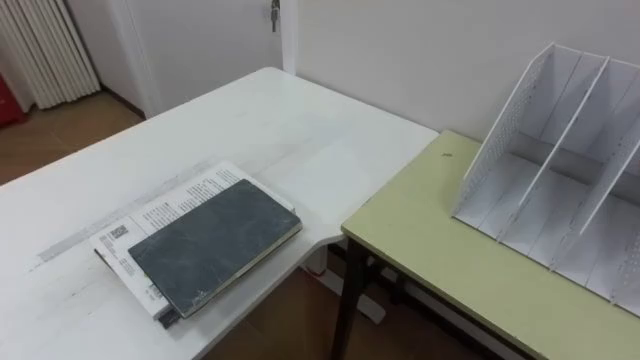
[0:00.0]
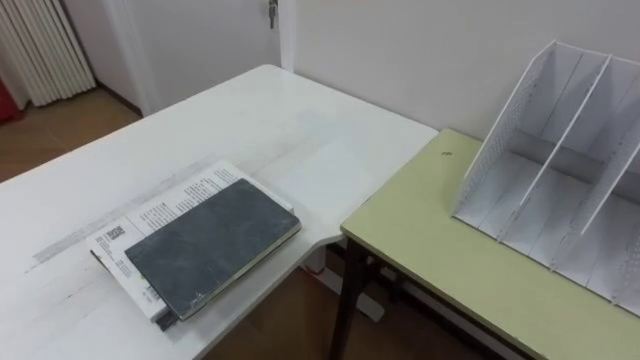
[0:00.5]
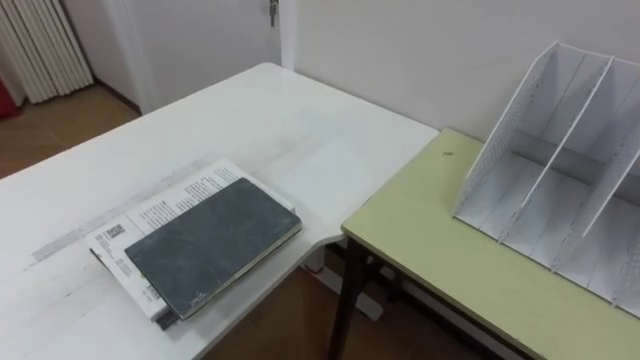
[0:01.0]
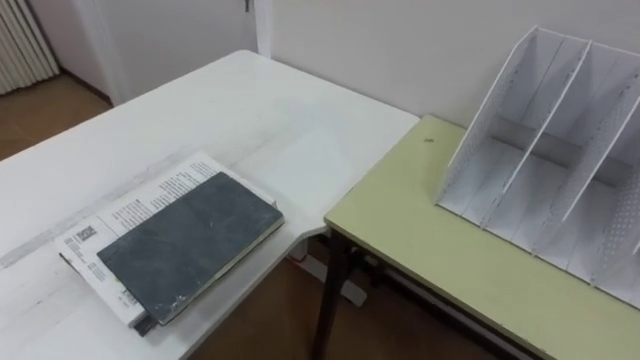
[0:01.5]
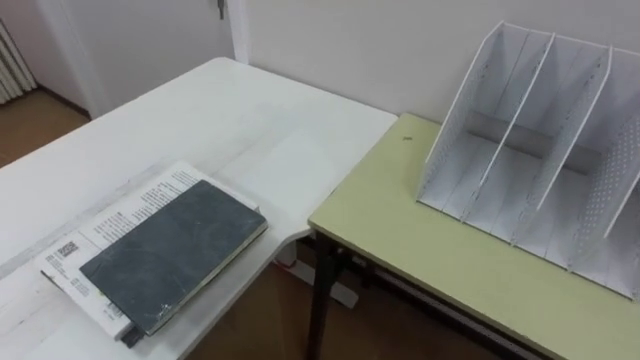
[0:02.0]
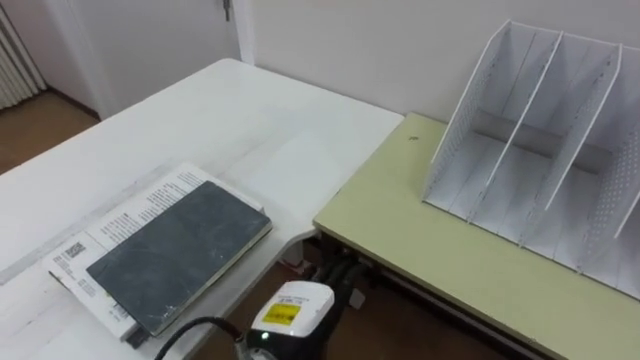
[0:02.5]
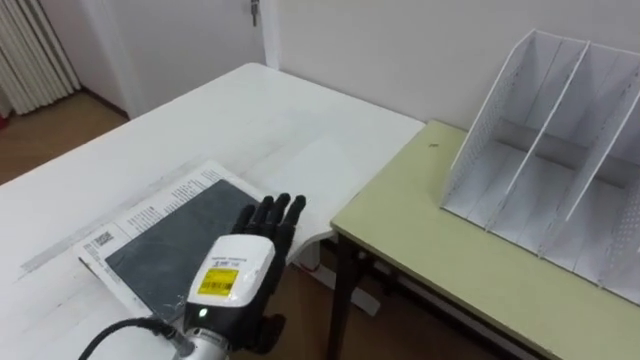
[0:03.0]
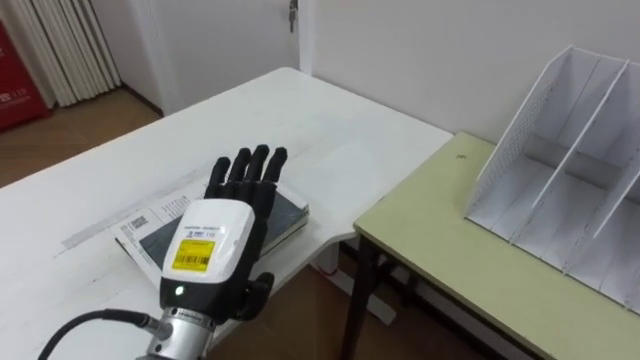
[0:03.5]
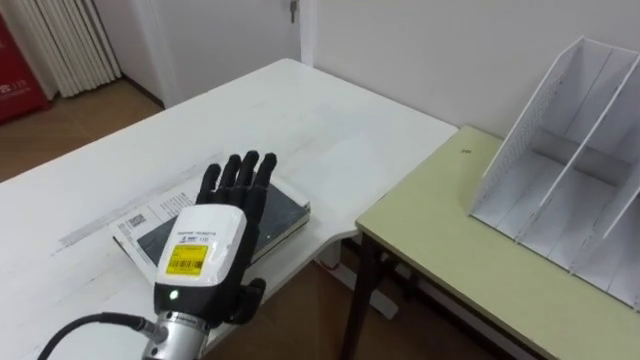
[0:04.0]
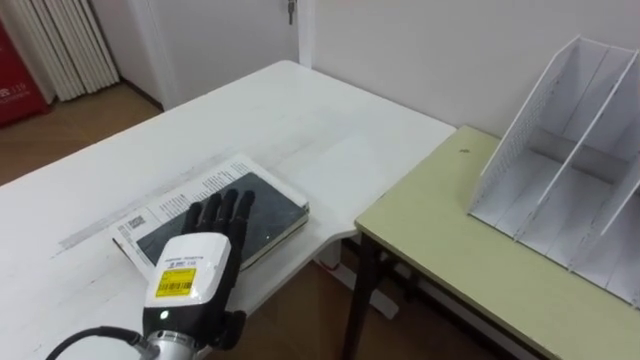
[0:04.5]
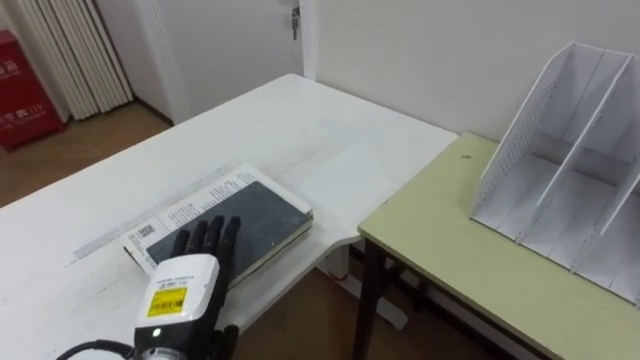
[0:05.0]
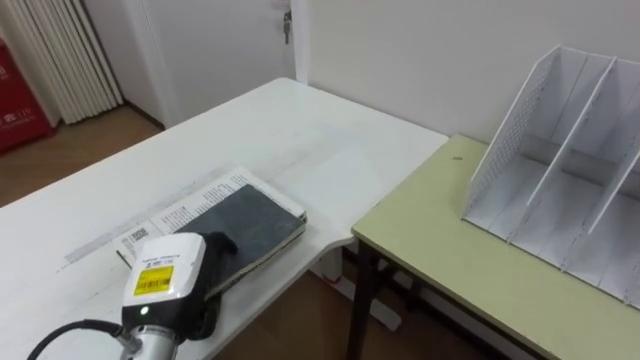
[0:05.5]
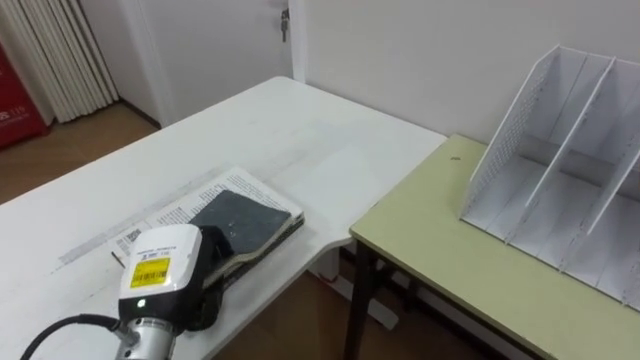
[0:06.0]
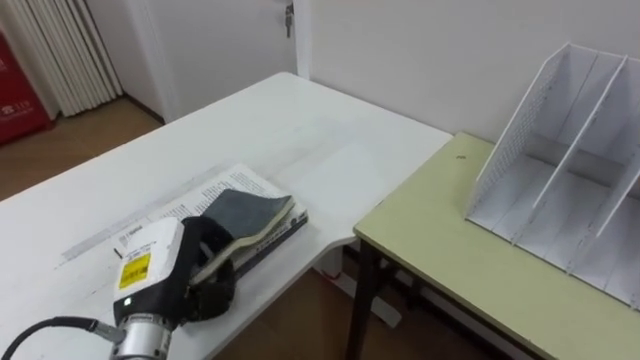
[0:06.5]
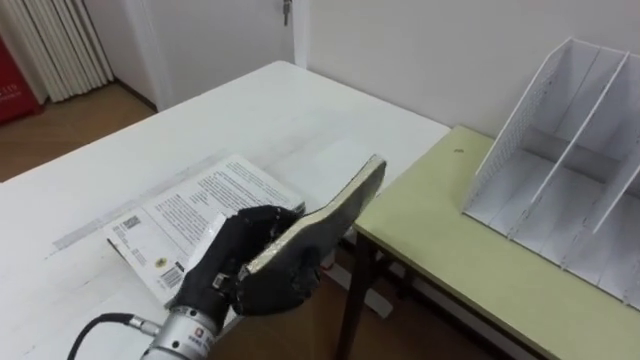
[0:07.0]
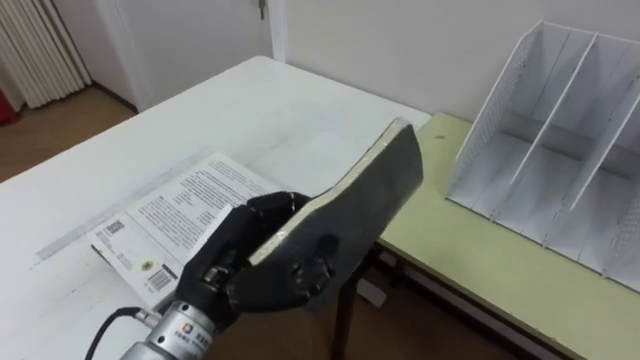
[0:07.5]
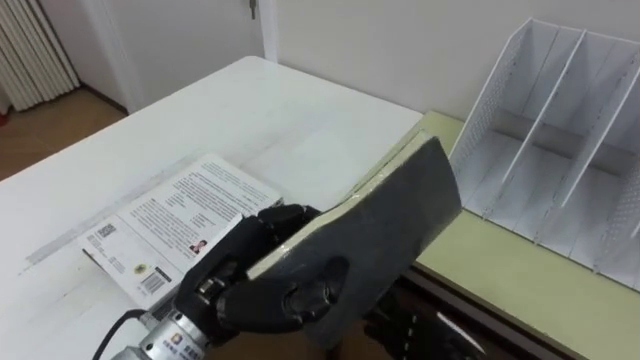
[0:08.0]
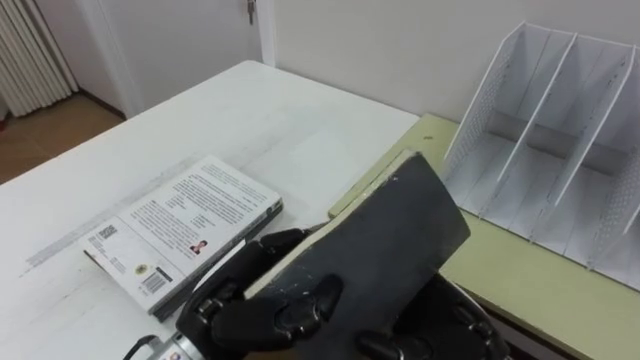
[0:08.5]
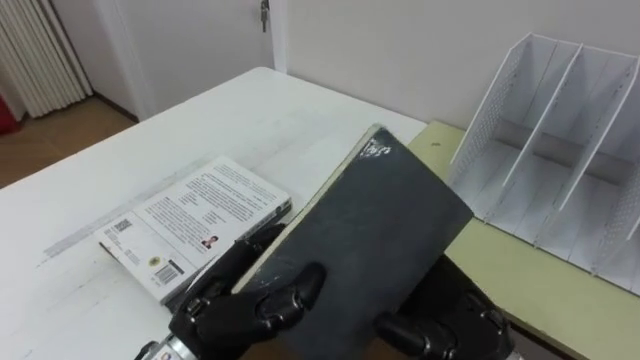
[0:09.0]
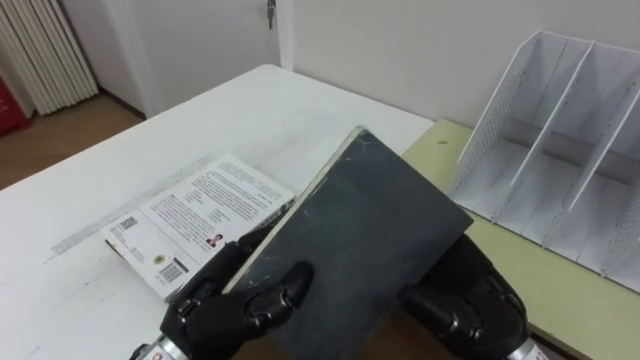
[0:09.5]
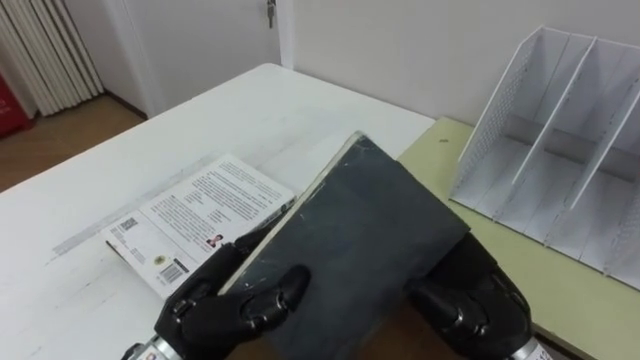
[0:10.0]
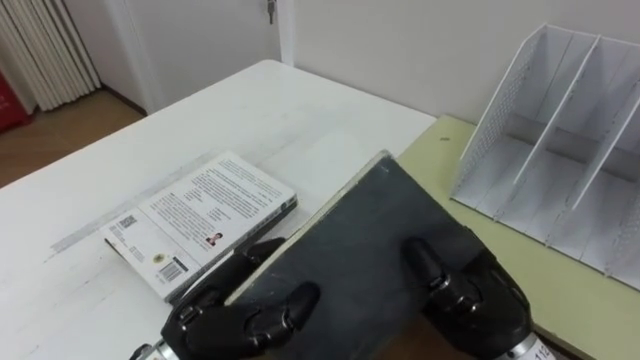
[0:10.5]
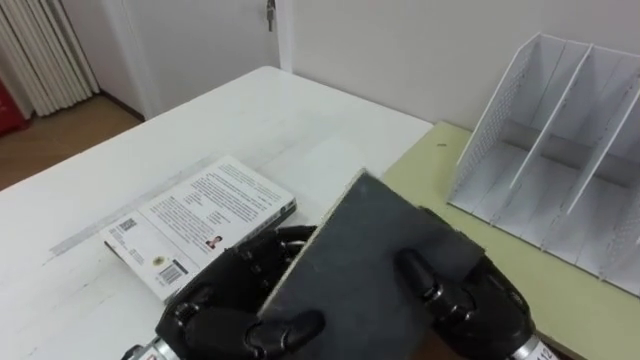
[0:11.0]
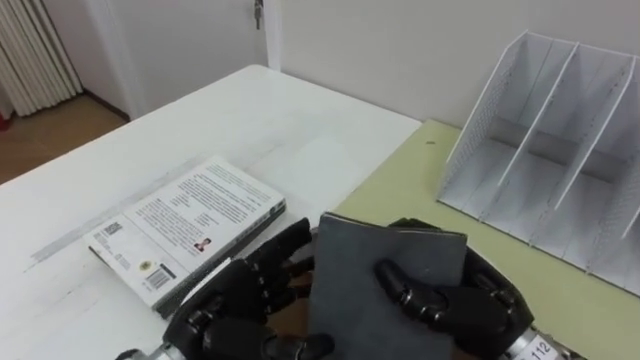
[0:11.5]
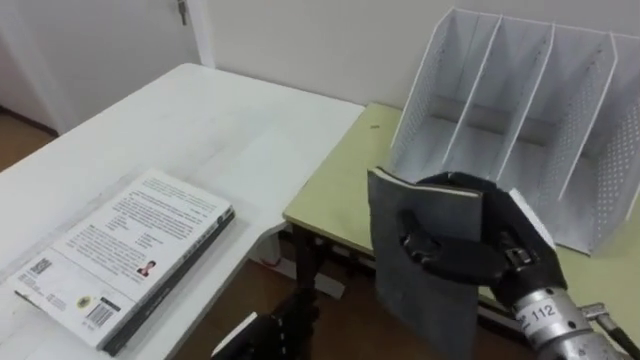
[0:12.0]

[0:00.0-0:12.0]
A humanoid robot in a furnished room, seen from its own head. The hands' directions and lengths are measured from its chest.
Task of the whole recording: Put the books on the table onto the bookshelf.
0:04.0 to 0:06.0: The left hand travels downward and to the left by roughly 5 cm, and closes up.
0:06.0 to 0:08.0: The left hand is displaced to the right and upward by some 10 cm.
0:08.0 to 0:10.0: The right hand shifts roughly 15 cm upward.
0:10.0 to 0:12.0: The left hand is displaced downward by roughly 10 cm, and opens up; the right hand changes place by approximately 5 cm, and closes up.

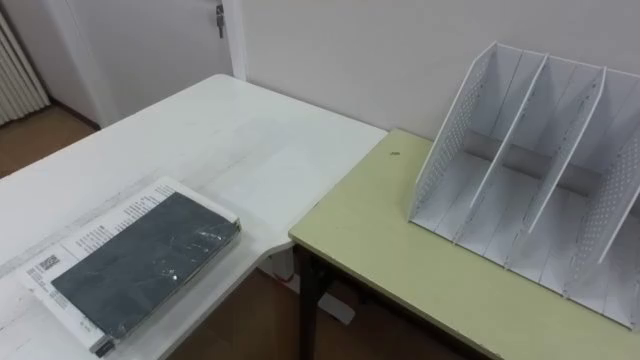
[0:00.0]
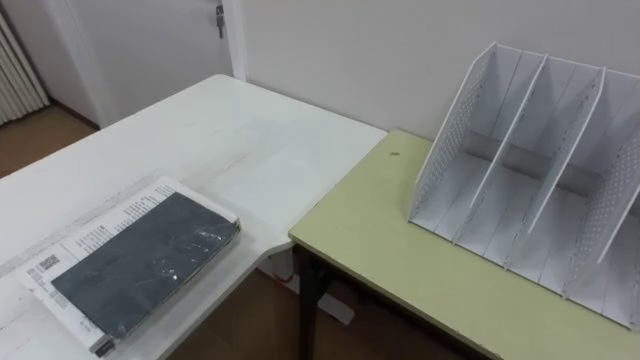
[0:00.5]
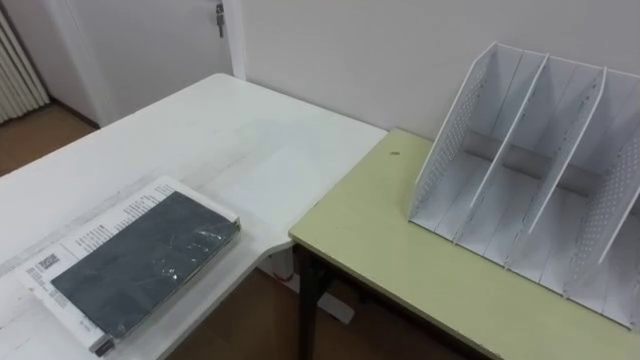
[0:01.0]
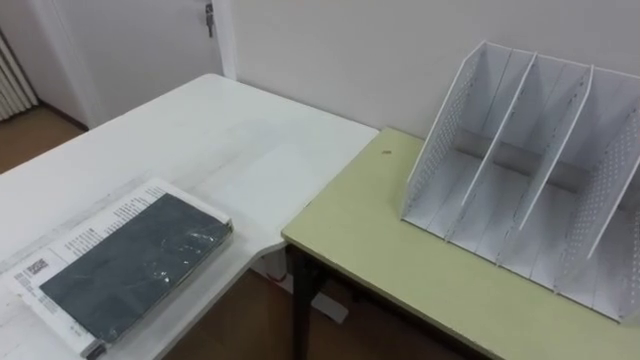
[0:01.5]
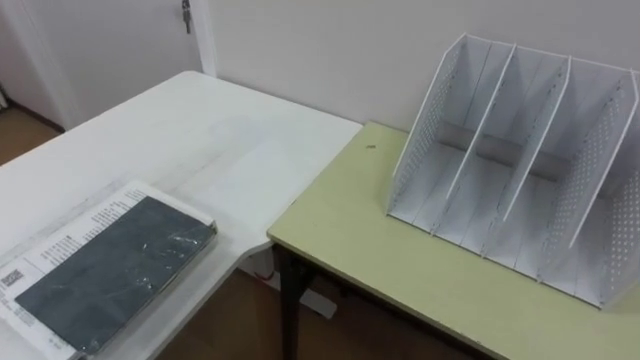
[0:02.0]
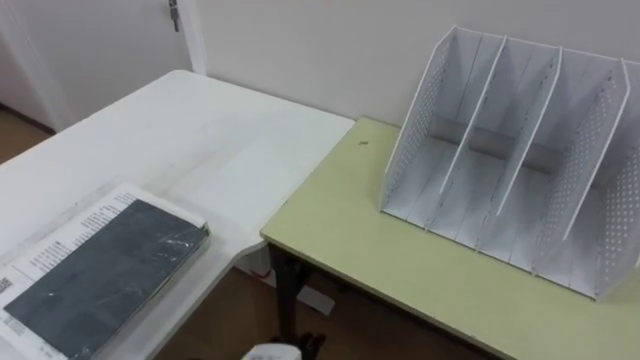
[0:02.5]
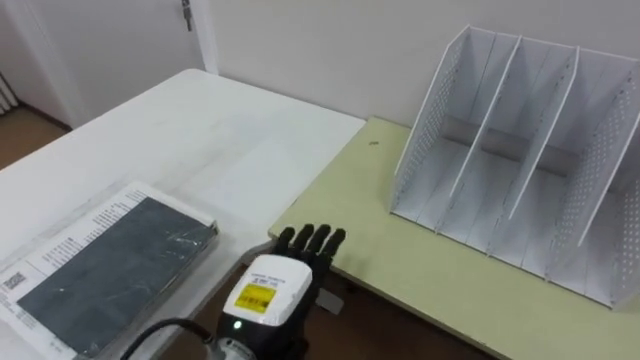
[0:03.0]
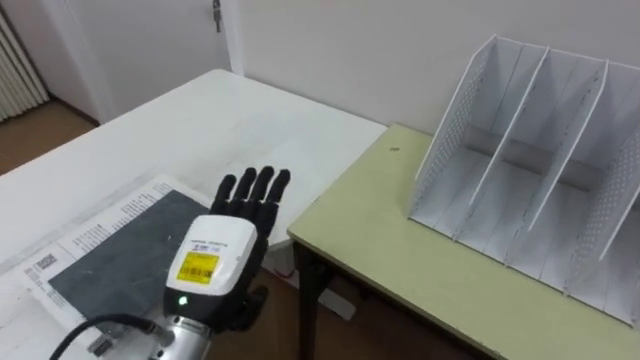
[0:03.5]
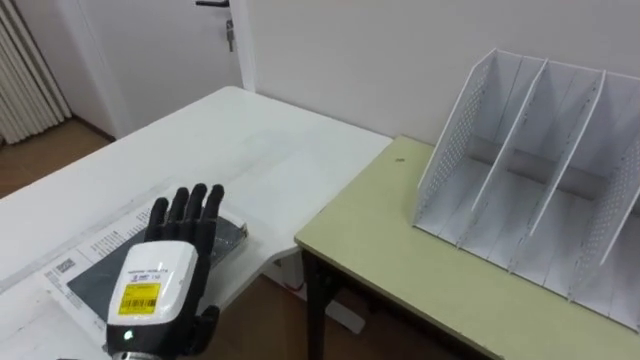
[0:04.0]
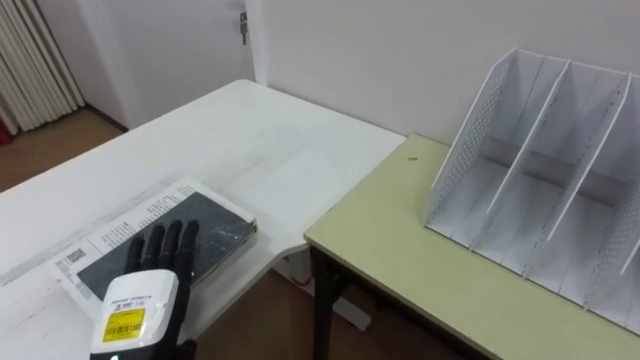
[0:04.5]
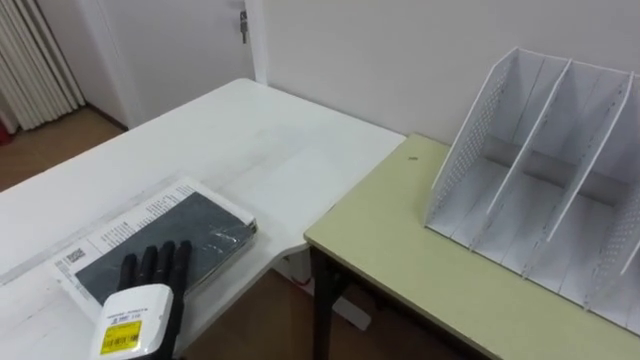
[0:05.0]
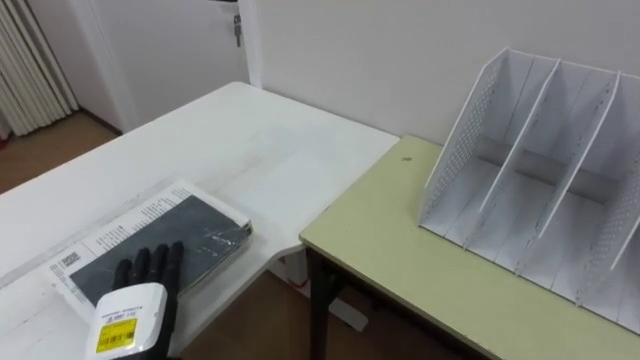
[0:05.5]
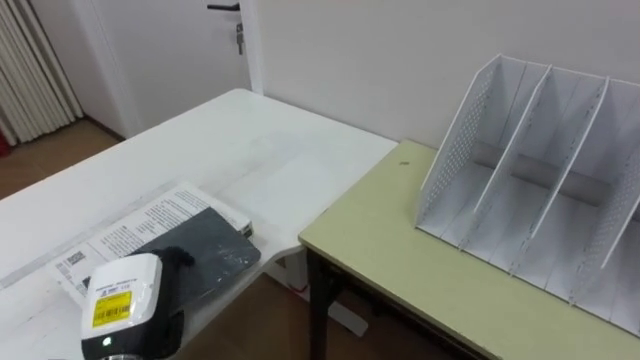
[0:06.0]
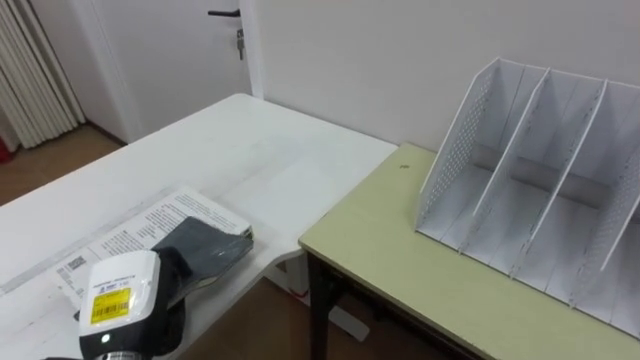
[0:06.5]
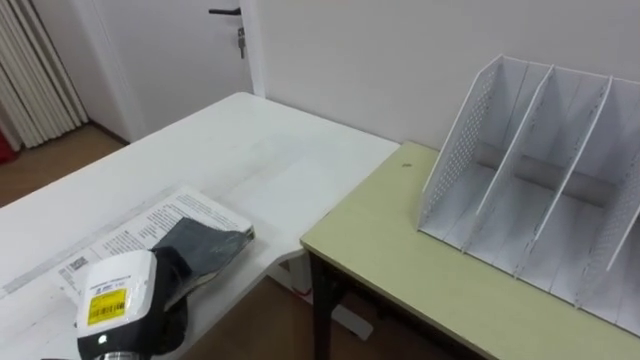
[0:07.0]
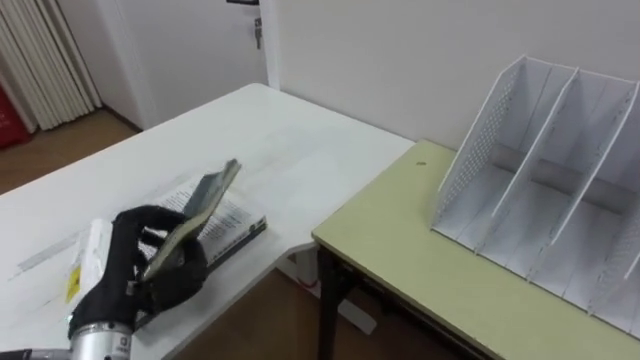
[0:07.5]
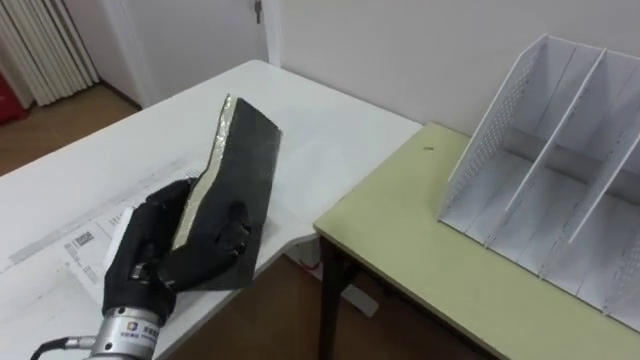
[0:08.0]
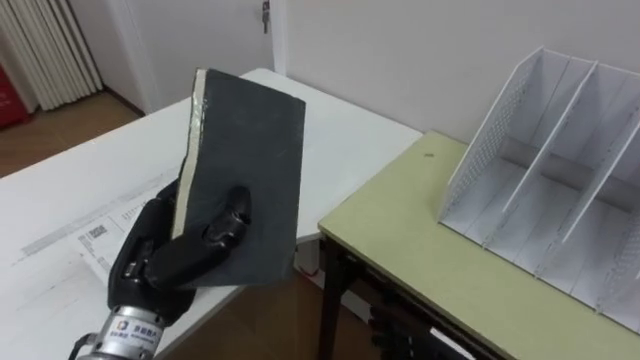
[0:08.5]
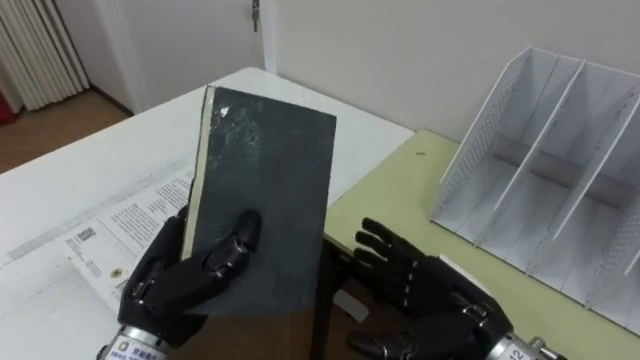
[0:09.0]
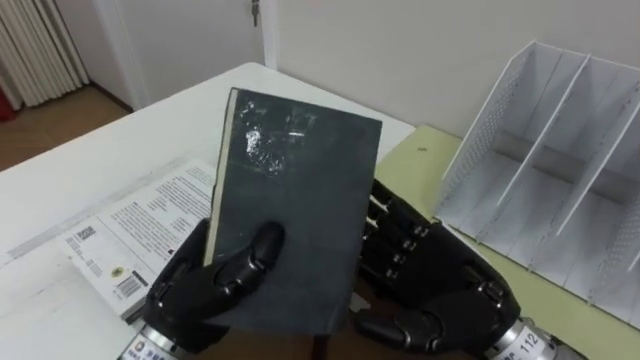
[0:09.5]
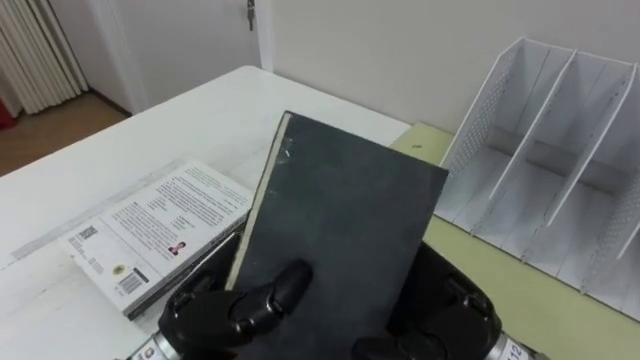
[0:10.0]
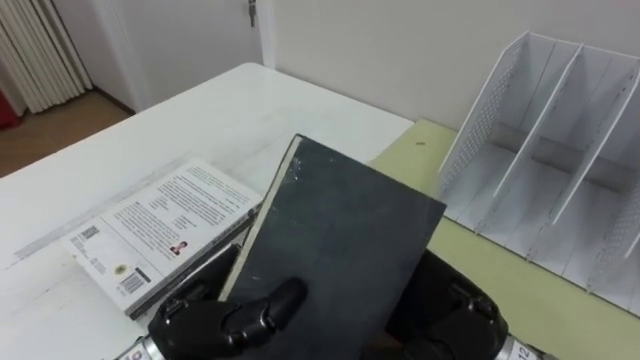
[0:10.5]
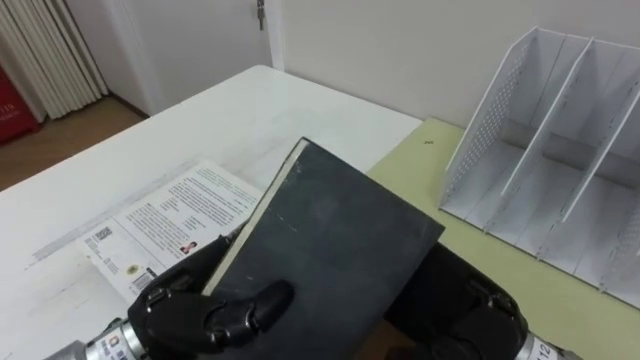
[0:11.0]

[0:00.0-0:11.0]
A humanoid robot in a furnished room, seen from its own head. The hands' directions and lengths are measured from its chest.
Task of the whole recording: Put the books on the table onto the bookshelf.
0:03.5 to 0:05.5: The left hand goes approximately 15 cm to the left and downward.
0:05.5 to 0:07.5: The left hand heads upward, covering about 10 cm, and closes its fingers.
0:07.5 to 0:09.0: The left hand moves to the right, some 10 cm.
0:09.0 to 0:11.0: The right hand heads upward, covering approximately 10 cm.
